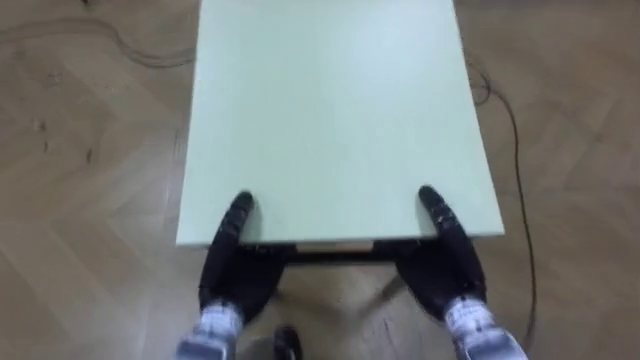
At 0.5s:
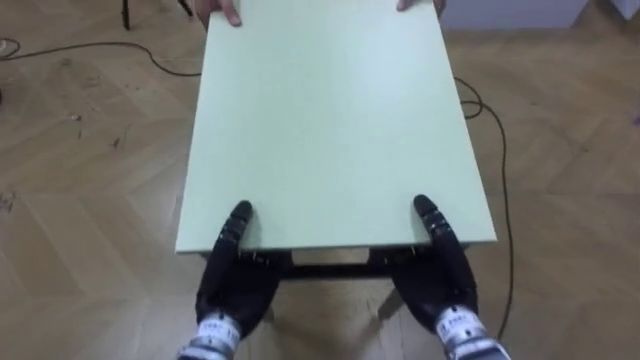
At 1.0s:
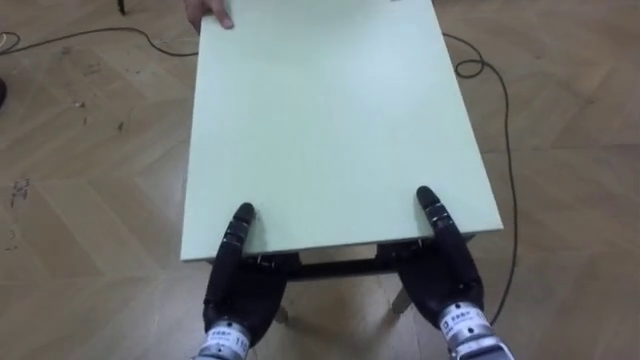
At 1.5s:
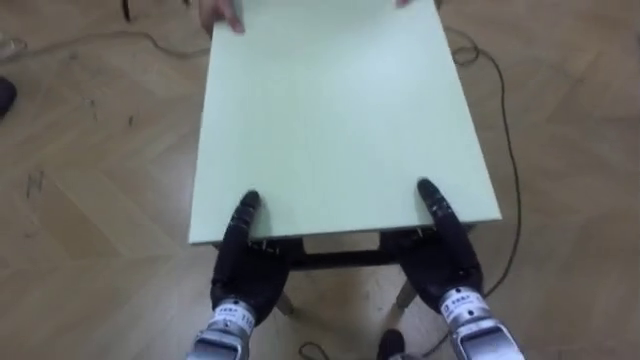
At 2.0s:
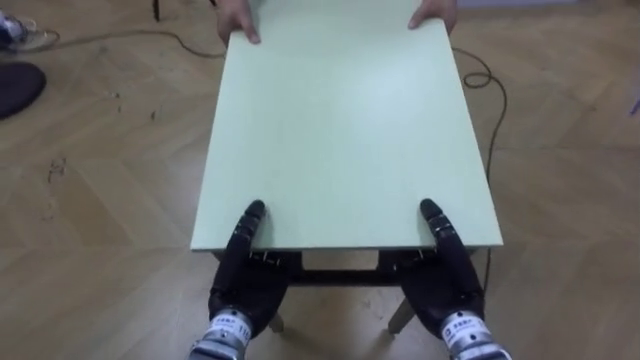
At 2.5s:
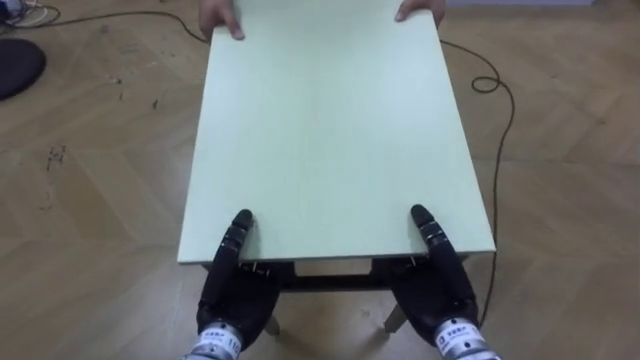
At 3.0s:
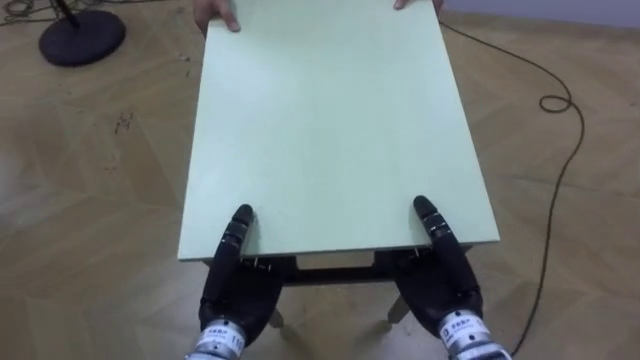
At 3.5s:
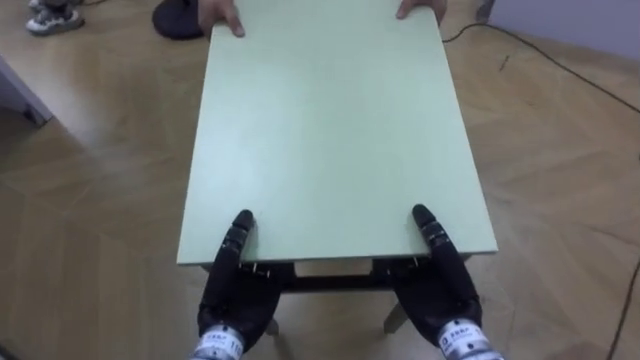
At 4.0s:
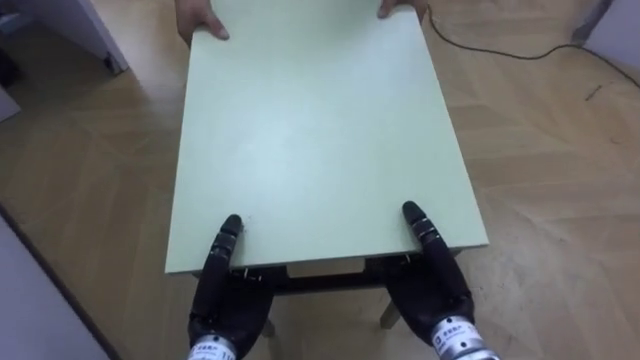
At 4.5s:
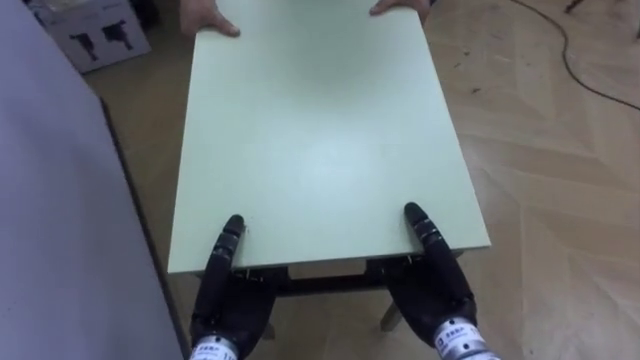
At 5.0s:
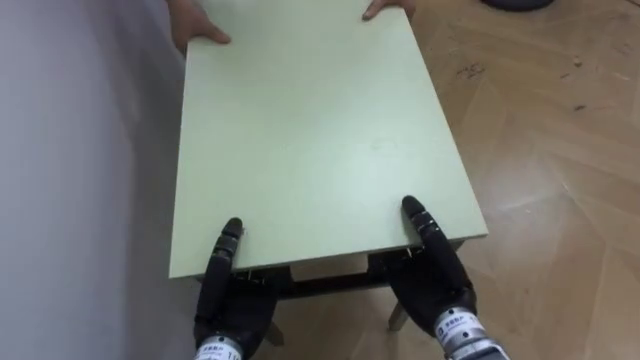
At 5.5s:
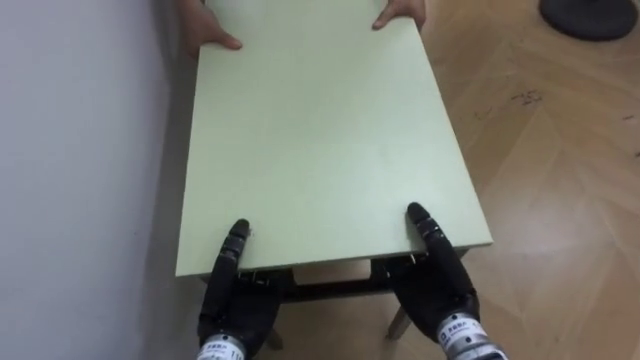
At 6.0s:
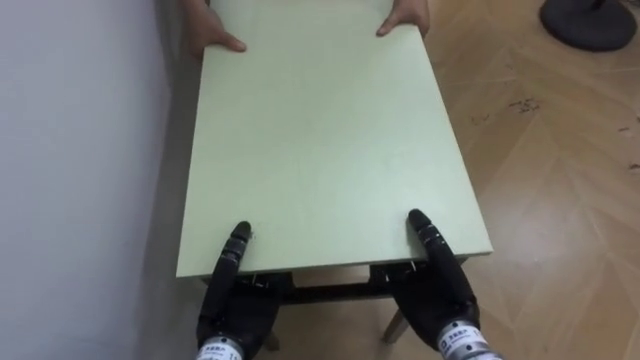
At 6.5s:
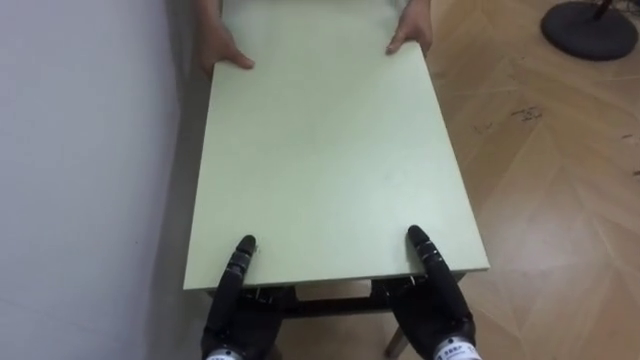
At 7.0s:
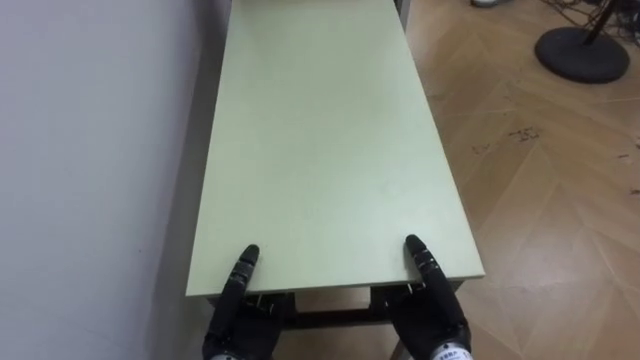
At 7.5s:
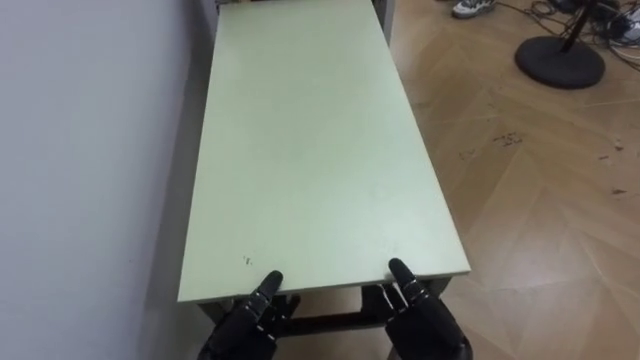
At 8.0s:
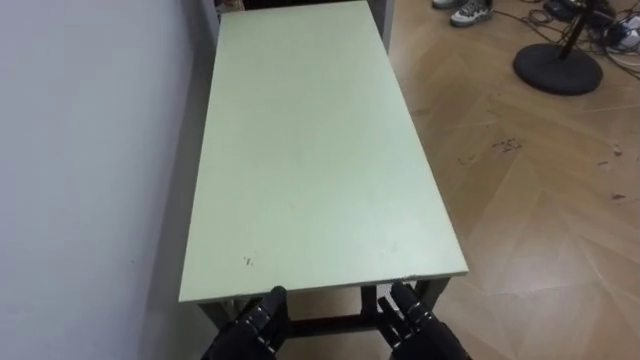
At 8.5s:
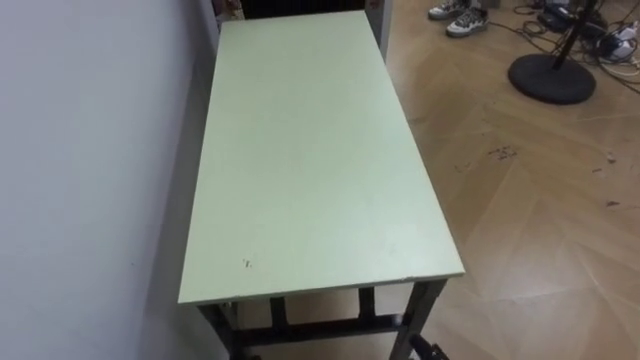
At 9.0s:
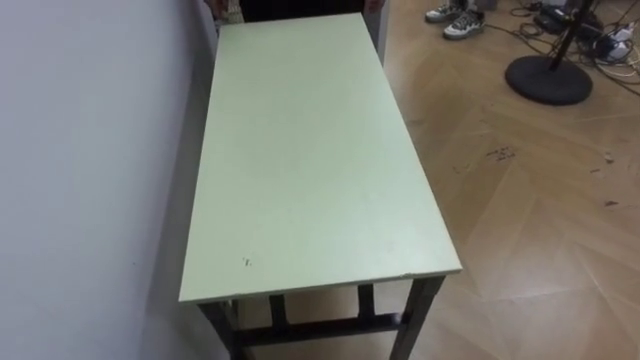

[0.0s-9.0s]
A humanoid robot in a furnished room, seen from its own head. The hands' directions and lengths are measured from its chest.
Task of the whole recording: Move the table to the back left with someone.
2.0s to 4.5s: The robot rotates roughly 55 degrees to its left.
4.5s to 7.0s: The robot turns to its left by approximately 30 degrees. Both hands travel together downward, some 5 cm.

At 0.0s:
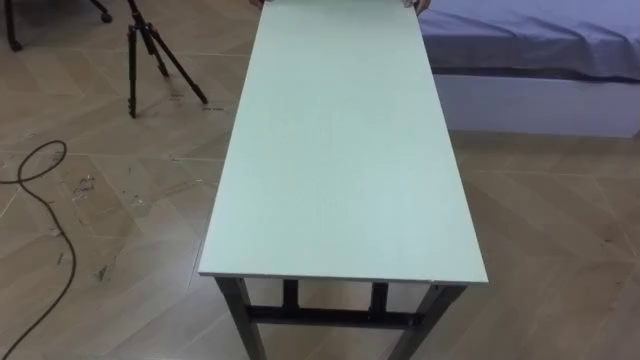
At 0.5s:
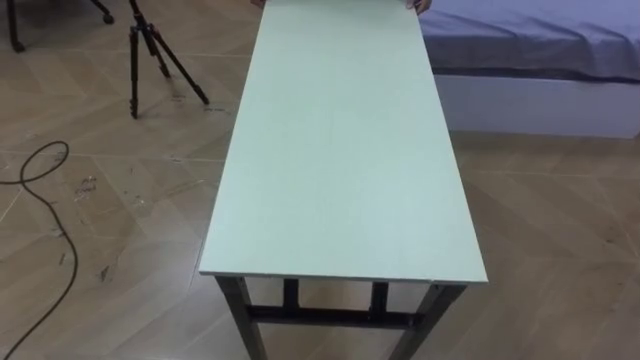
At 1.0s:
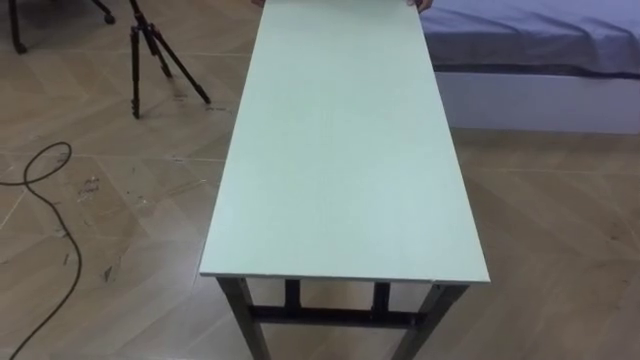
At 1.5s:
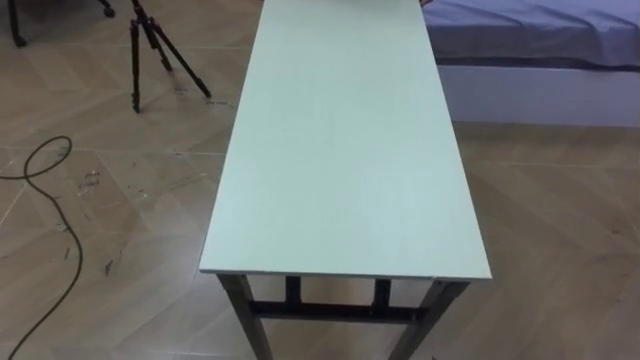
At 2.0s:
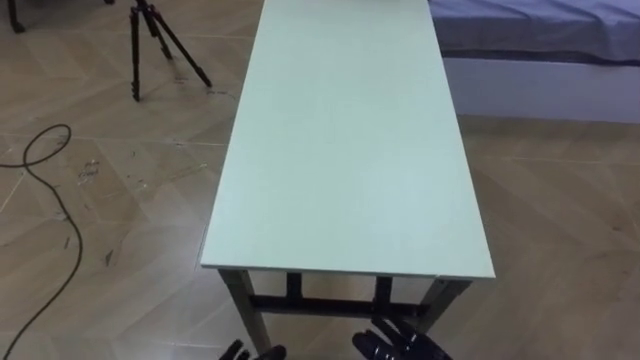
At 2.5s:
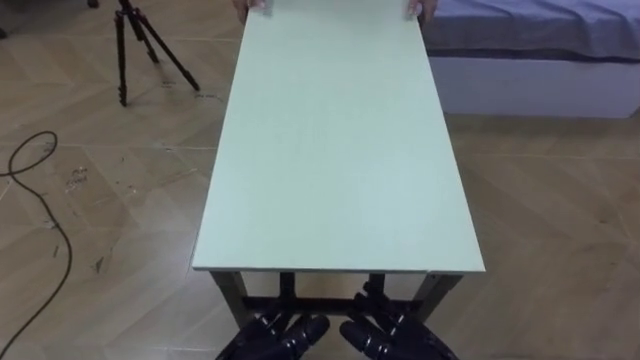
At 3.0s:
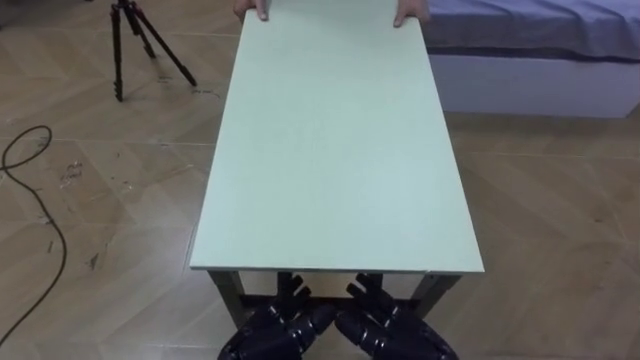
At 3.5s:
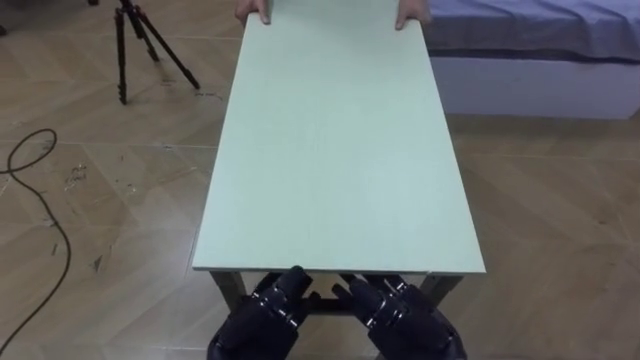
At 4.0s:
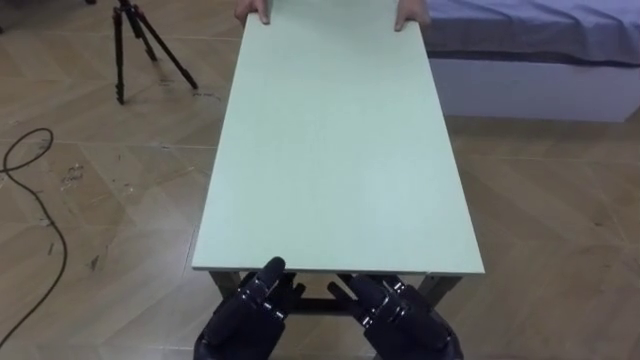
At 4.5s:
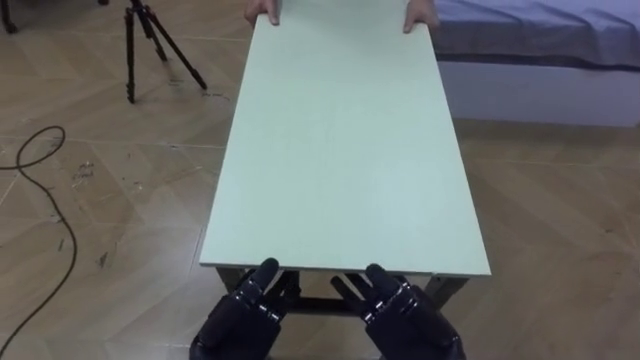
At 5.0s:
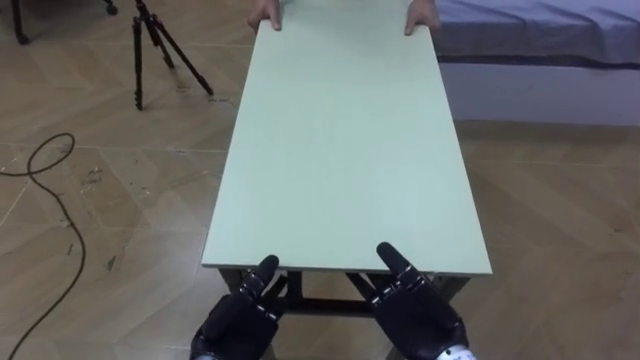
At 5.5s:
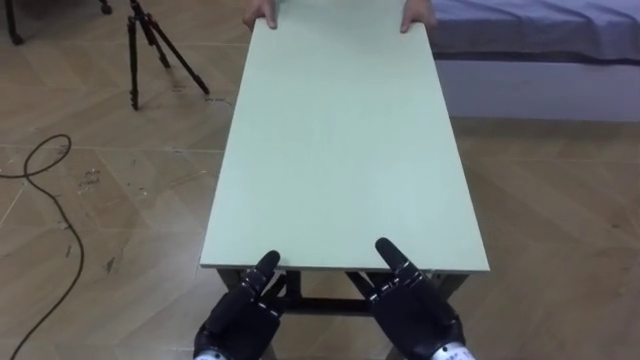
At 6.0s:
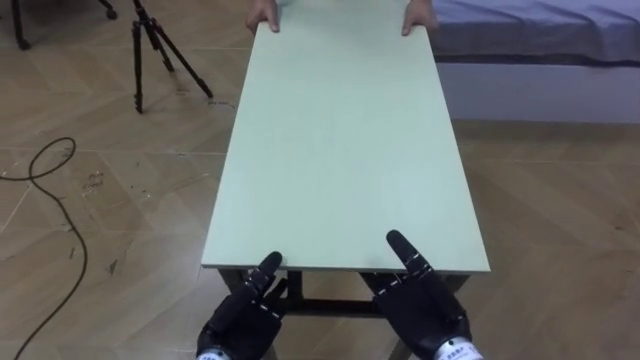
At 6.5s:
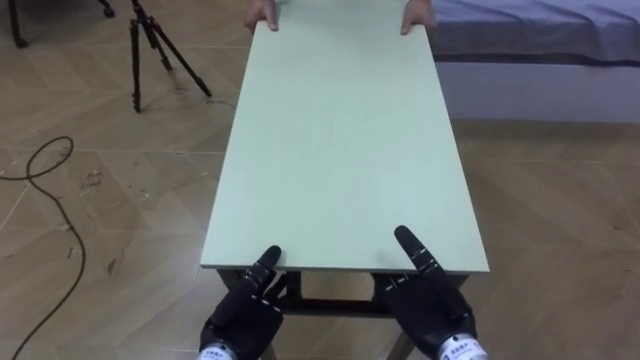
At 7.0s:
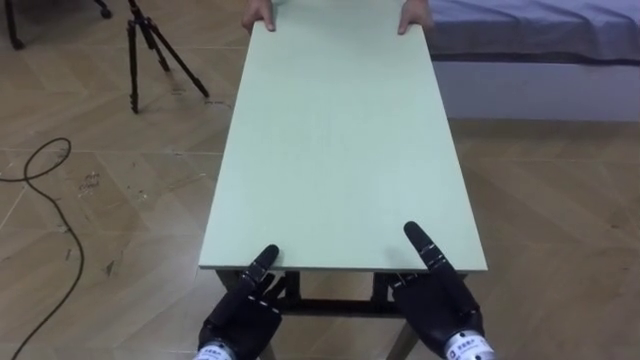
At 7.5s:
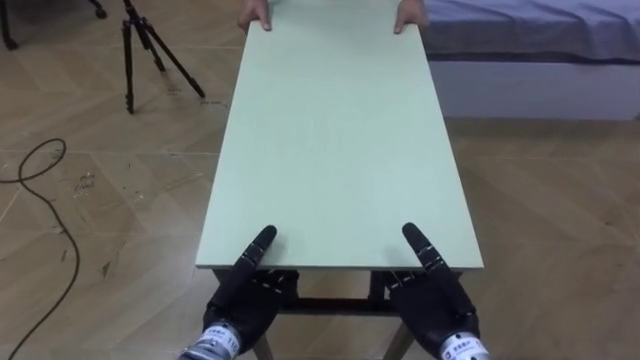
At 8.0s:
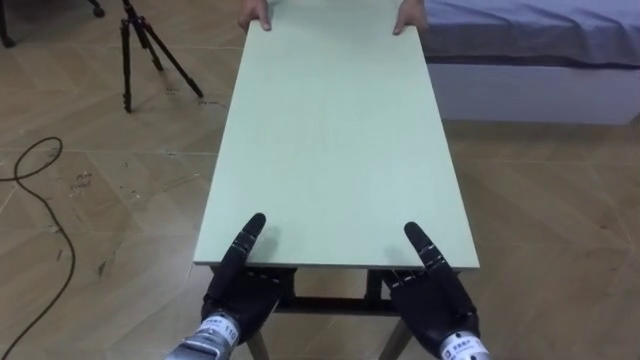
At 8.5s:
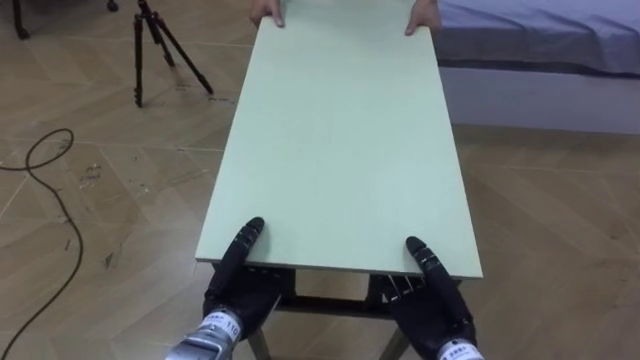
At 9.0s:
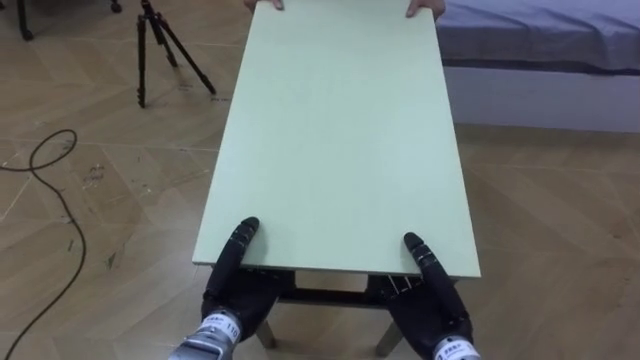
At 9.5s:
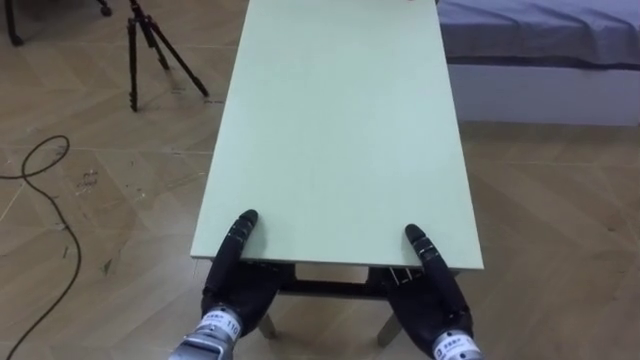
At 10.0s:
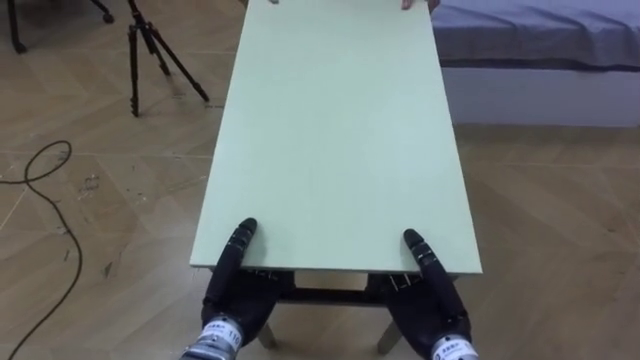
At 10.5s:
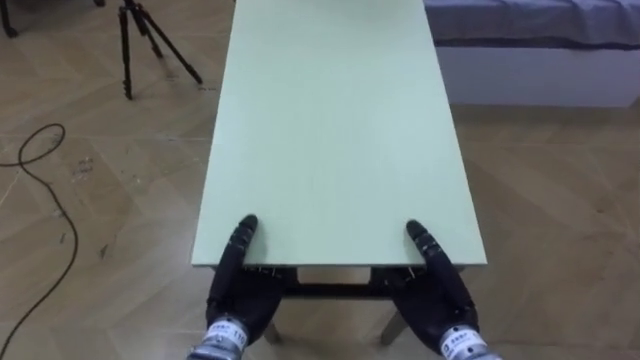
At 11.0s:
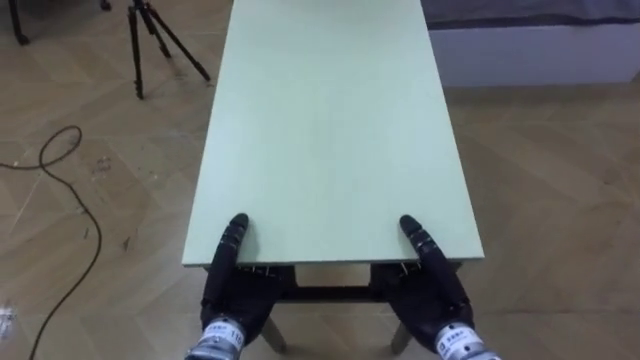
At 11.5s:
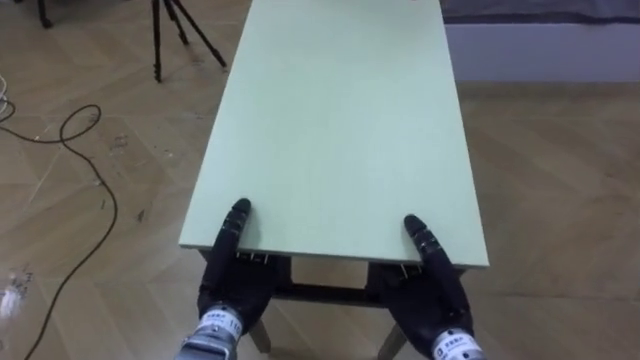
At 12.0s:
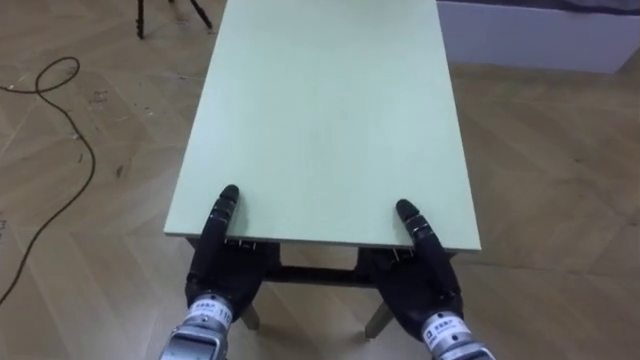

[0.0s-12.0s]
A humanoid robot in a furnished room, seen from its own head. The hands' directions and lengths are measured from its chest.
Task of the whole recording: Move the table to the back left with someone.
6.0s to 8.0s: There are only small adjustments of the hands.
8.0s to 10.0s: The right hand closes. The left hand closes up.
10.0s to 12.0s: The right hand moves upward, some 5 cm, while the left hand changes place by approximately 5 cm.
